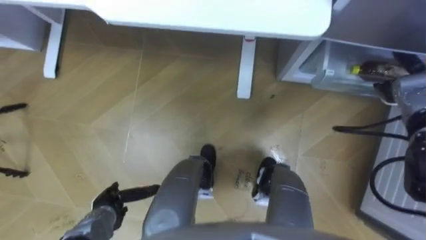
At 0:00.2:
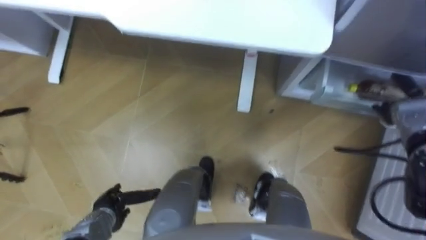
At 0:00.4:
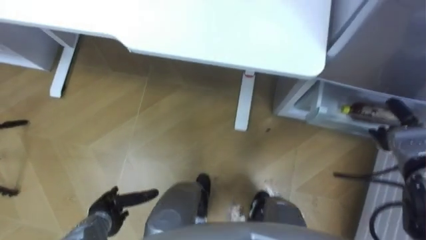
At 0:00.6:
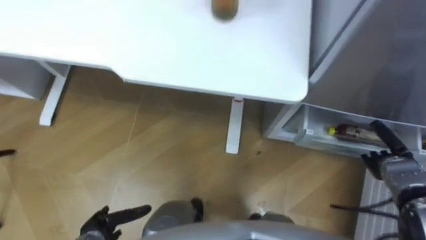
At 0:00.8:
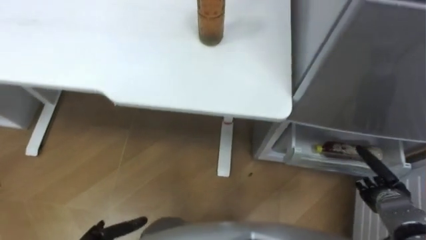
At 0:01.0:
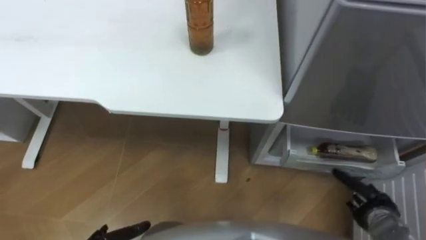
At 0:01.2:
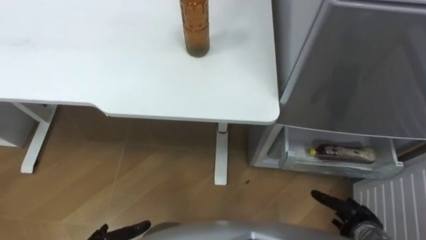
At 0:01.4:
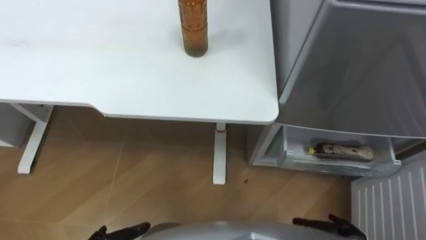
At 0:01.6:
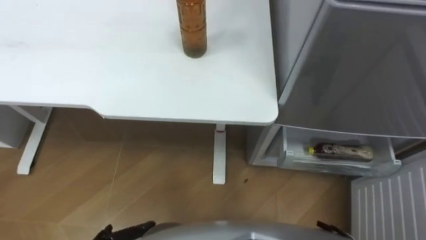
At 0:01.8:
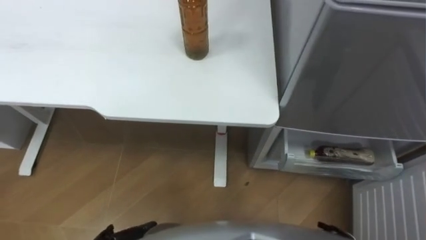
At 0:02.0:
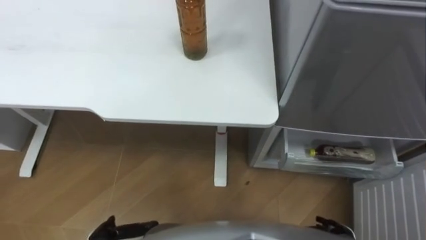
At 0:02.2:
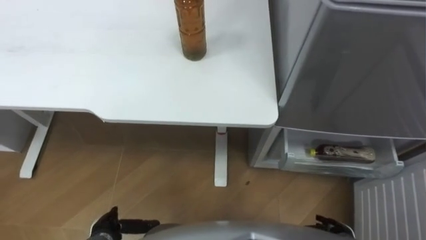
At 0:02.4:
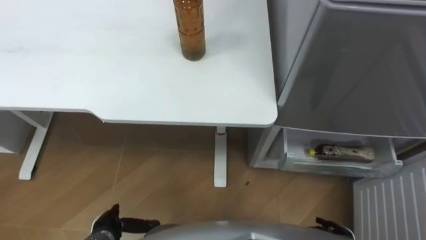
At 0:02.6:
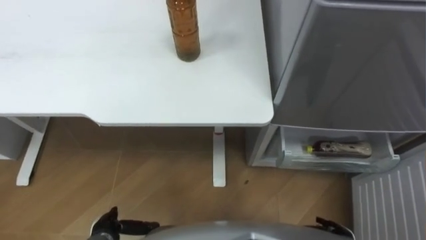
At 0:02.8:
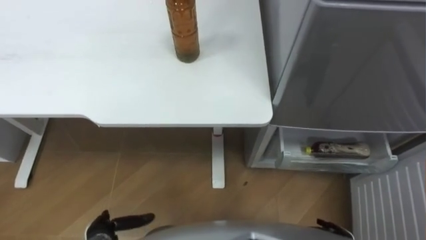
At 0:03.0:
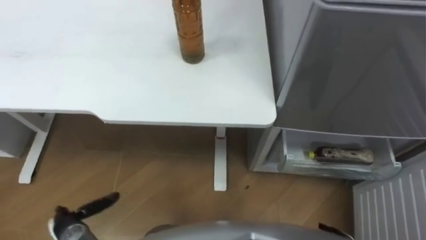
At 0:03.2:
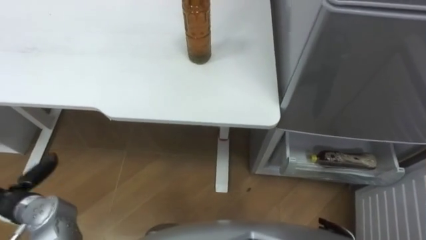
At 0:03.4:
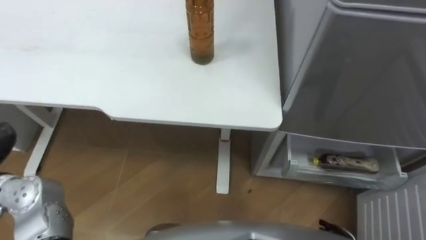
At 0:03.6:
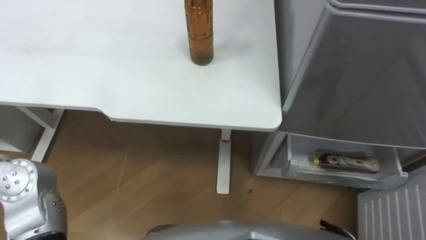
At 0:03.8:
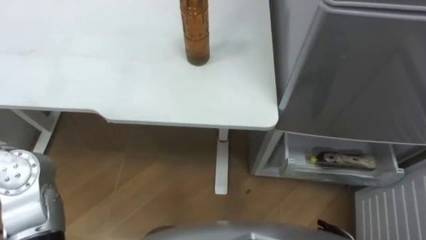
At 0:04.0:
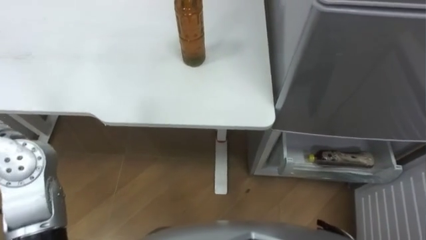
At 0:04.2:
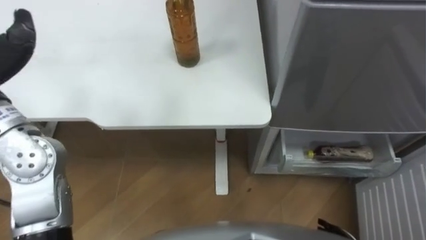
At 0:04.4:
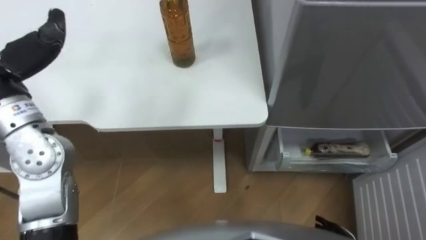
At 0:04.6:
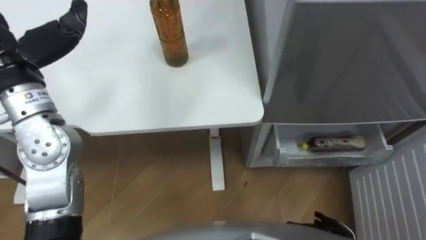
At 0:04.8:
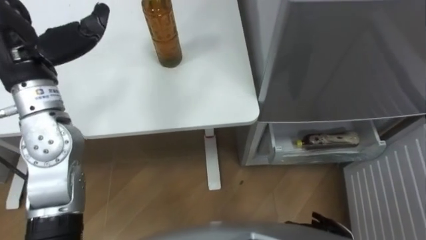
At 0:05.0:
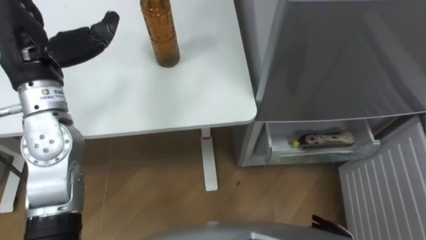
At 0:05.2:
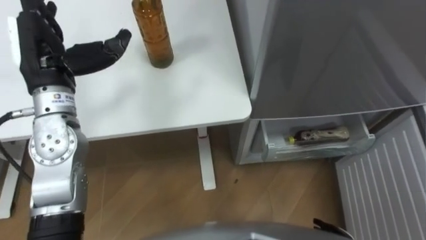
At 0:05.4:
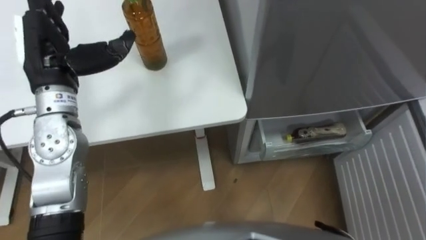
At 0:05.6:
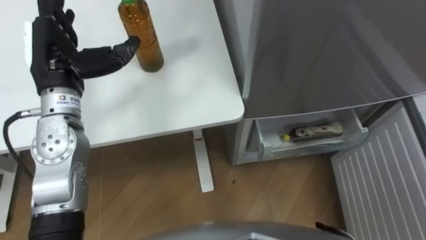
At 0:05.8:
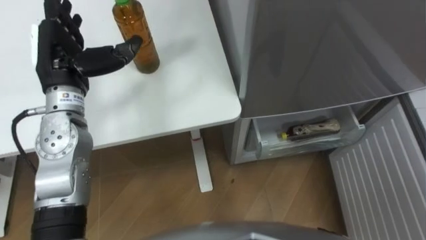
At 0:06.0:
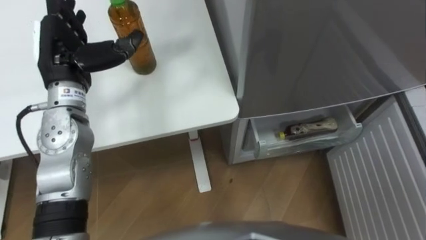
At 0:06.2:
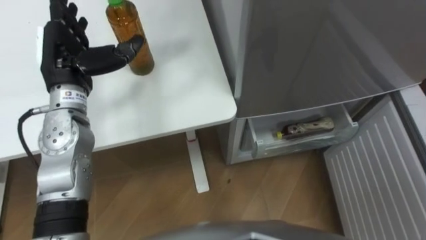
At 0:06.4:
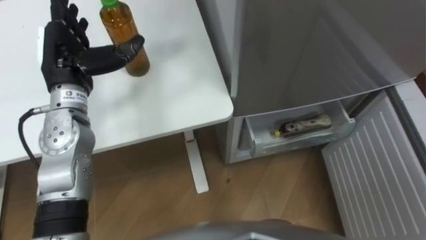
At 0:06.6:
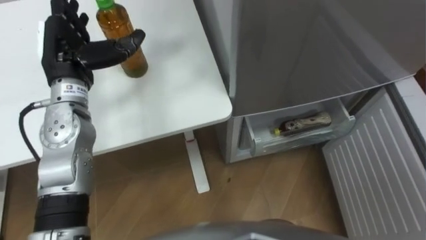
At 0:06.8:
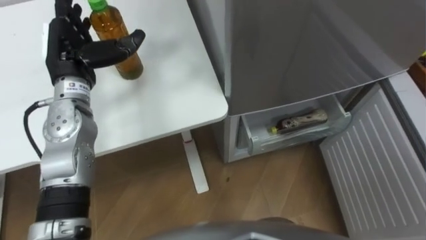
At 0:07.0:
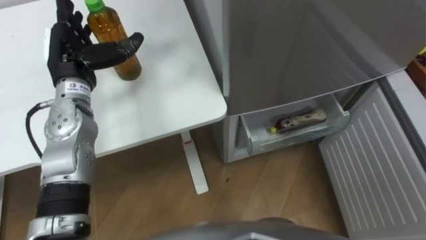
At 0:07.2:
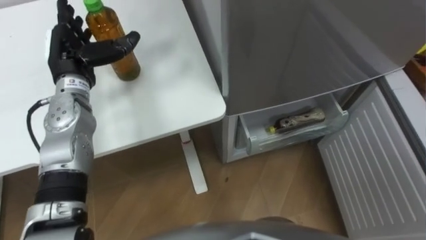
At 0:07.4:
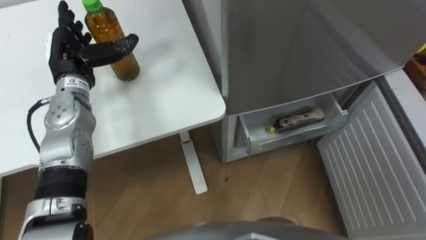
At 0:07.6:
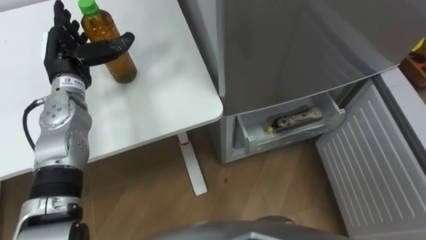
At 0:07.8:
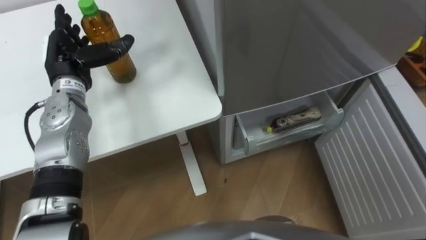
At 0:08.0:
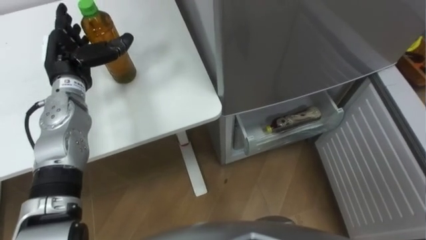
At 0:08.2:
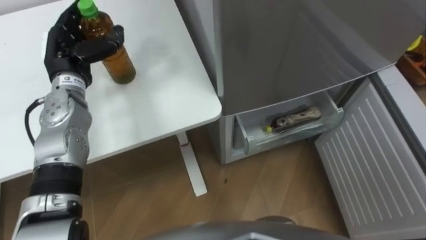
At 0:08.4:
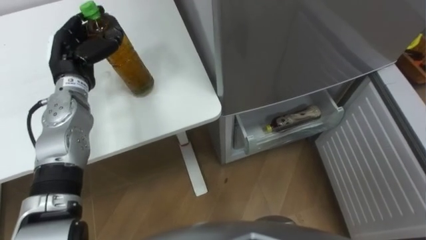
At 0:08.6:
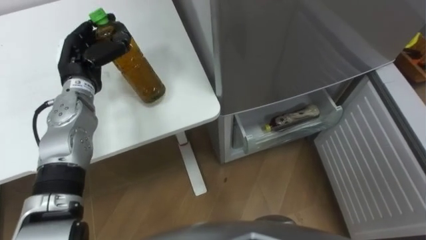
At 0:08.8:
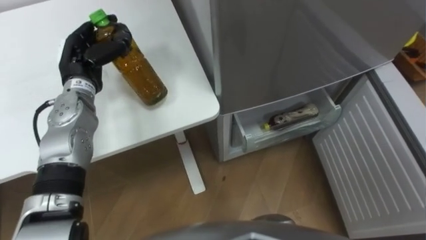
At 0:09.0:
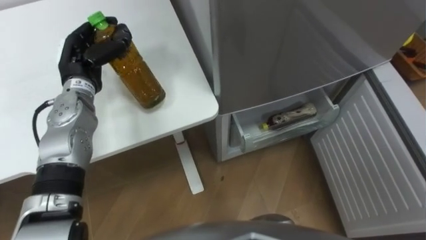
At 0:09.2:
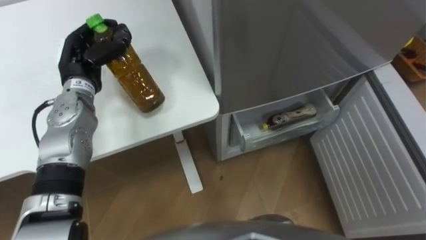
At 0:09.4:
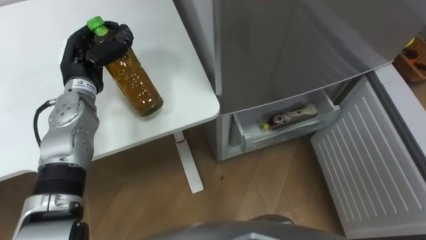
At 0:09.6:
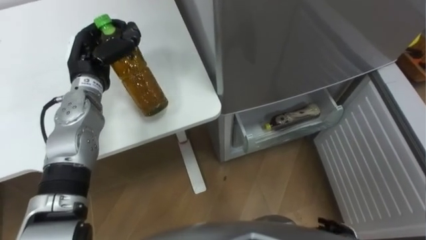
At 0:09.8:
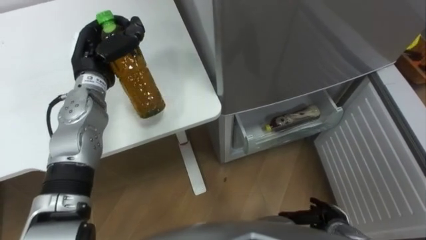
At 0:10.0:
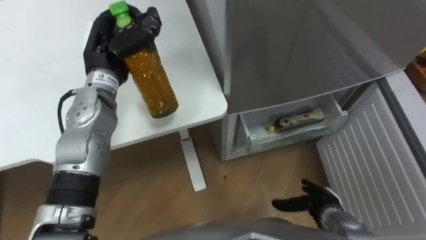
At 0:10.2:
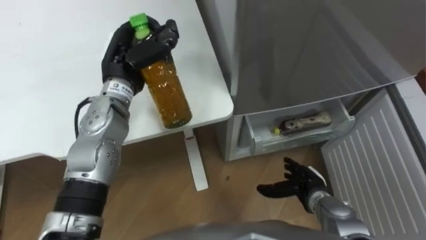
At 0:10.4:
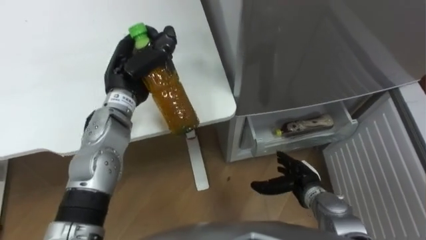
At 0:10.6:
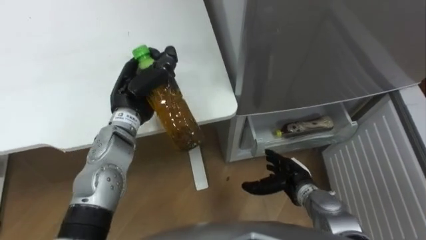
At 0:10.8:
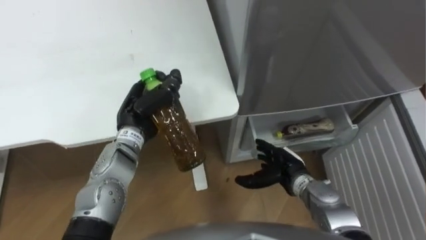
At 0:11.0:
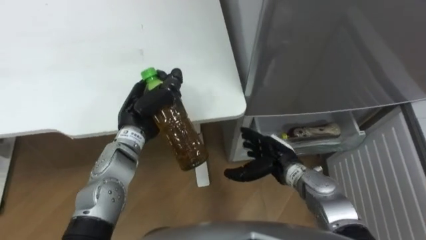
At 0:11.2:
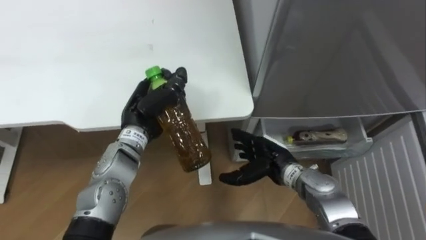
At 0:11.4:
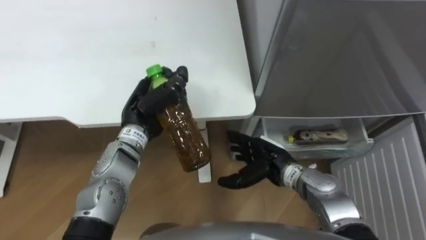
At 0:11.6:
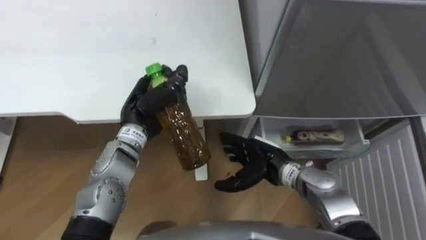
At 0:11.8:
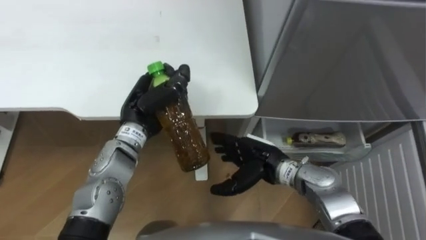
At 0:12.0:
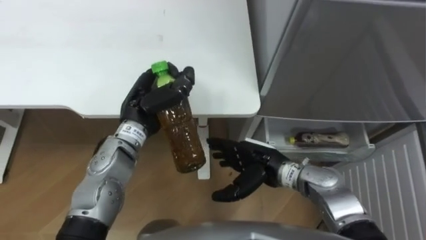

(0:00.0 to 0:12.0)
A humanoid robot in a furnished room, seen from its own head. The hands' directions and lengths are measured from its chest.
Task of the whole recording: Place the drink on the table on the bottom shelf of the refrigerator, then close the drawer and the refrigerator door.
0:06.0 - 0:07.6: The left hand is displaced downward by about 5 cm.
0:07.6 - 0:09.0: The left hand closes.
0:09.0 - 0:10.4: The left hand shifts roughly 10 cm to the right.
0:10.4 - 0:12.0: The left hand shifts by roughly 5 cm; the right hand goes about 15 cm to the left and upward.

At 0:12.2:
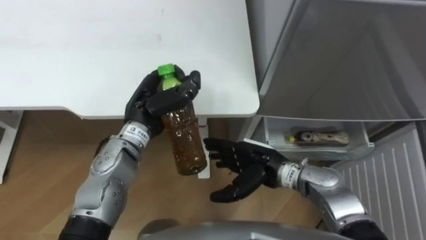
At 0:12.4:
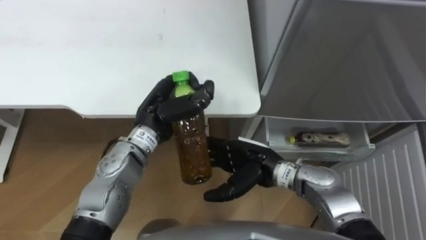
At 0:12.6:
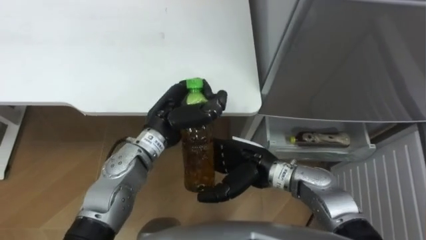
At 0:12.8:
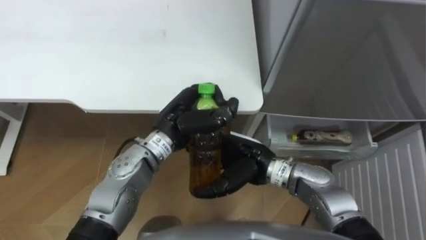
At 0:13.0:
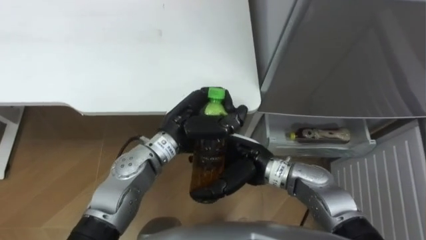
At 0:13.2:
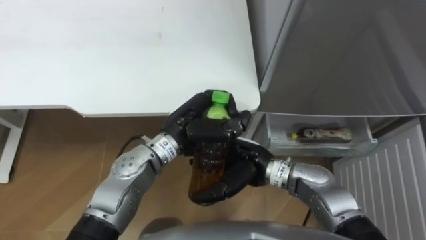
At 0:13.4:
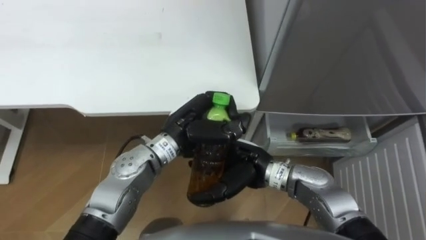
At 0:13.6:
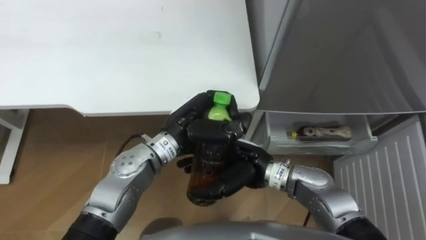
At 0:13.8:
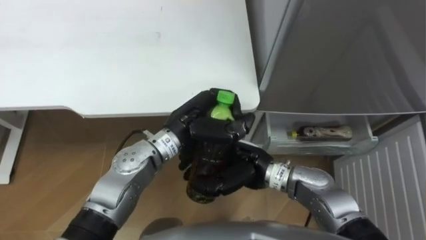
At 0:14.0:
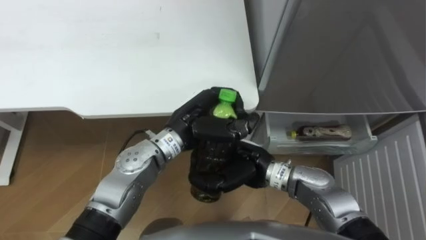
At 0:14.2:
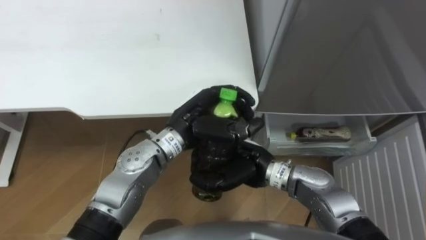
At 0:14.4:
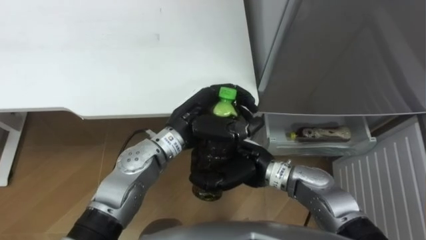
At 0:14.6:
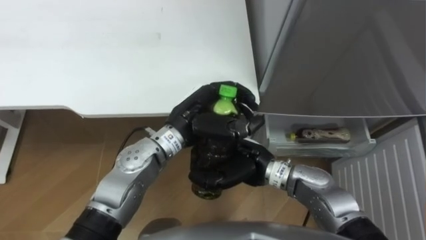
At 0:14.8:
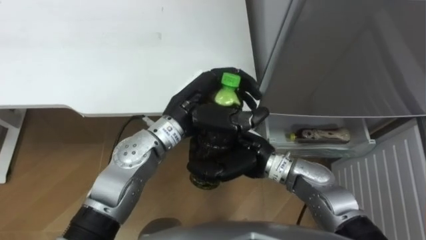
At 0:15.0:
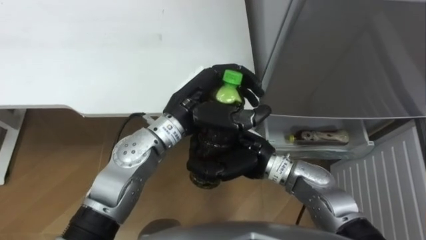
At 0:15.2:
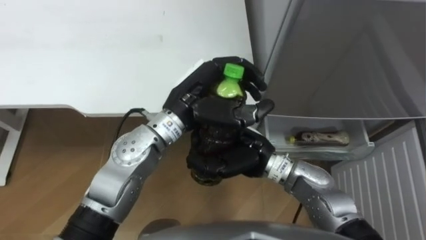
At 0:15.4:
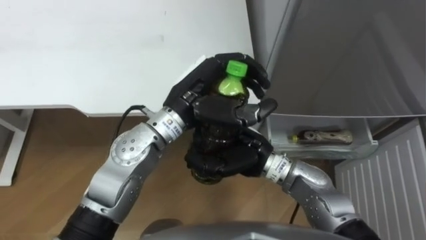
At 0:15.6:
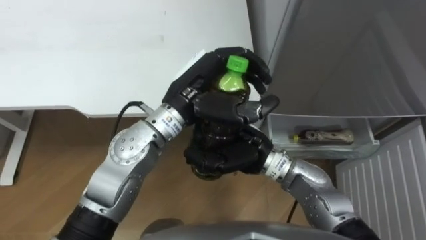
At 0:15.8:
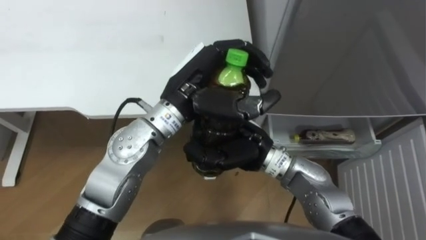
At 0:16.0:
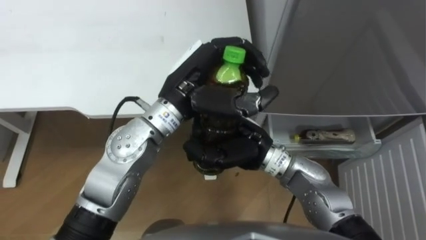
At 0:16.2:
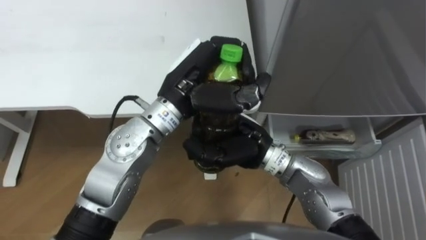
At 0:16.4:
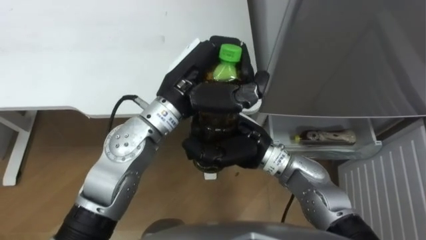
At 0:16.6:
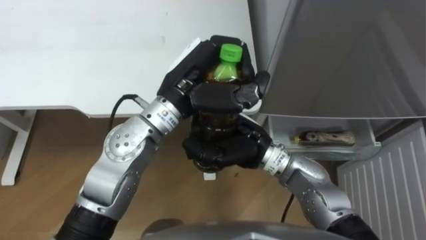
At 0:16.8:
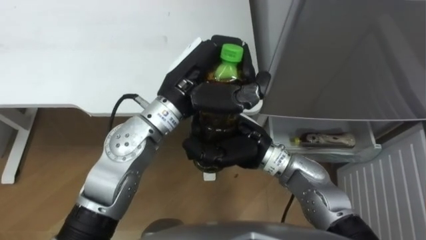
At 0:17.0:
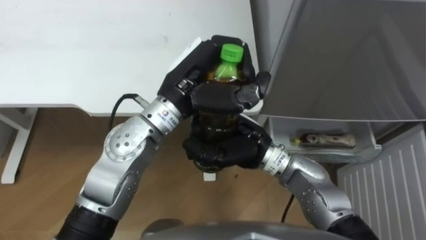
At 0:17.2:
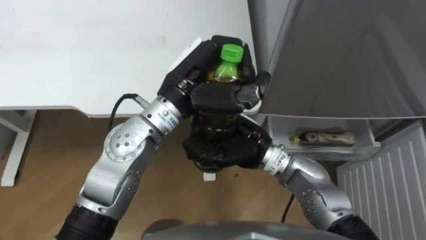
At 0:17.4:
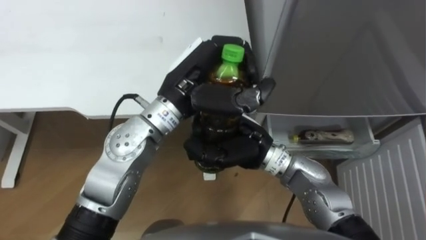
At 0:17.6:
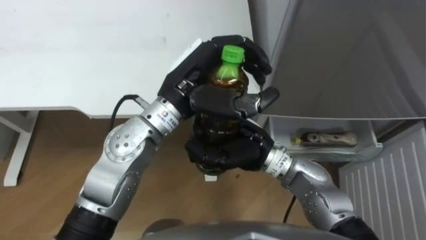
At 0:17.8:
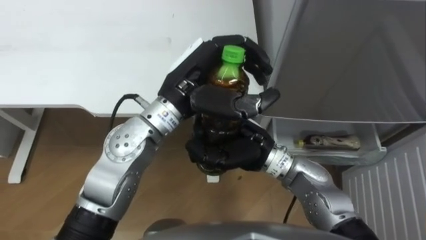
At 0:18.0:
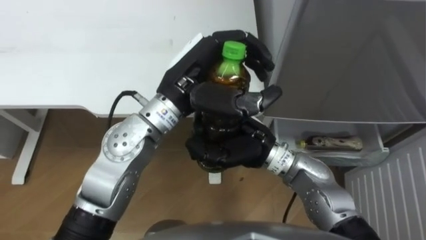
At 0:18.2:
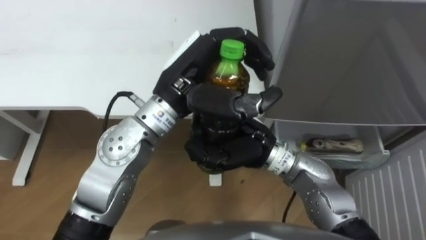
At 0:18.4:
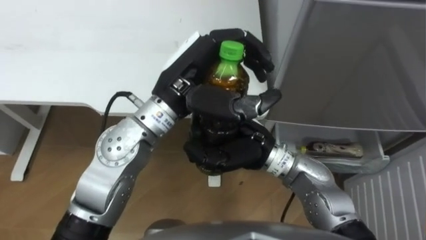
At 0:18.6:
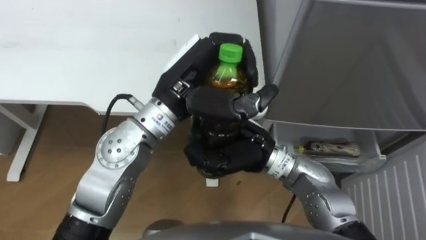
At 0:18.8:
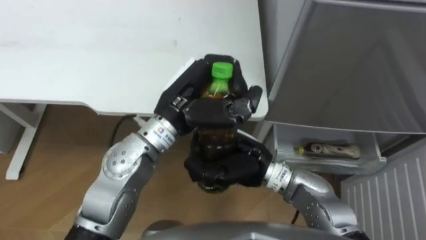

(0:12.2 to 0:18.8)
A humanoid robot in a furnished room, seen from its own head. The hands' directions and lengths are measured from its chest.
Task of the whole recording: Place the drink on the table on the bottom shelf of the refrigerator, then close the drawer and the refrigerator door.
0:12.2 - 0:13.8: The right hand changes place by roughly 5 cm, and closes its fingers, while the left hand travels to the right by approximately 10 cm.
0:13.8 - 0:15.4: The left hand moves upward, roughly 5 cm.
0:15.4 - 0:17.2: The hands make only small movements.
